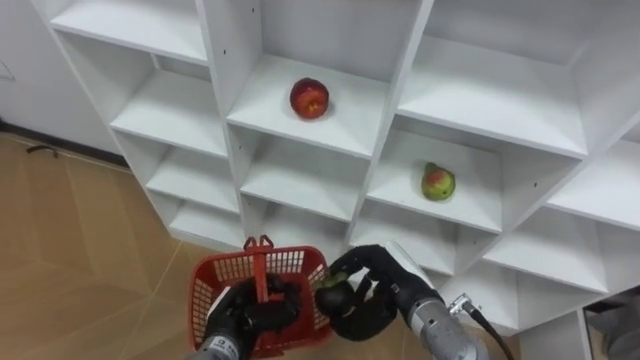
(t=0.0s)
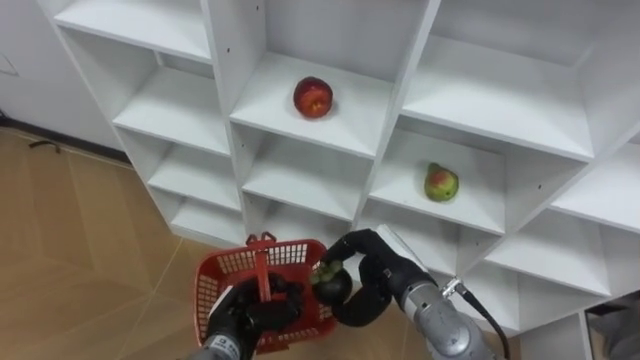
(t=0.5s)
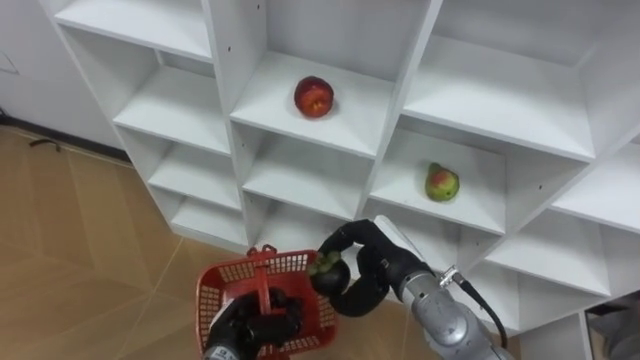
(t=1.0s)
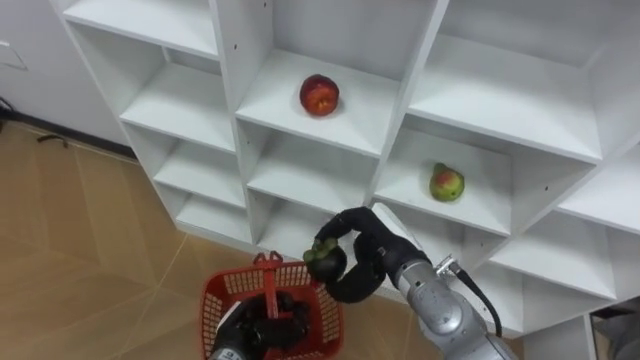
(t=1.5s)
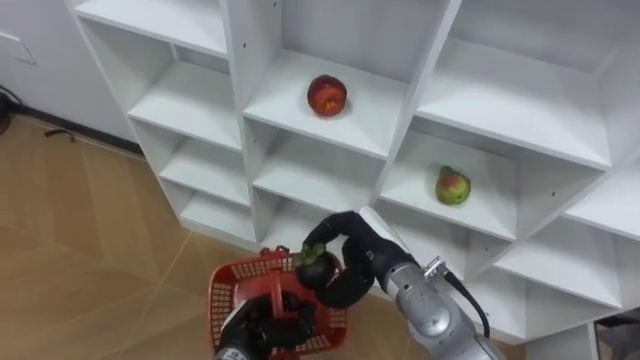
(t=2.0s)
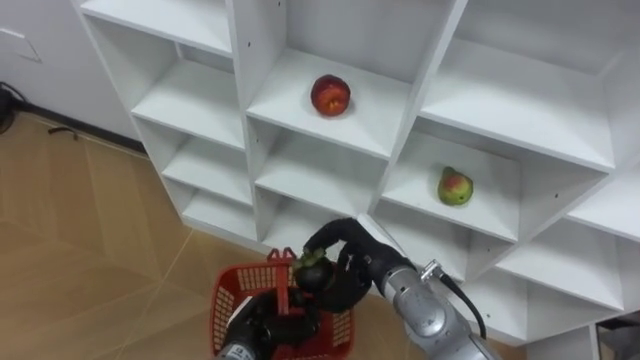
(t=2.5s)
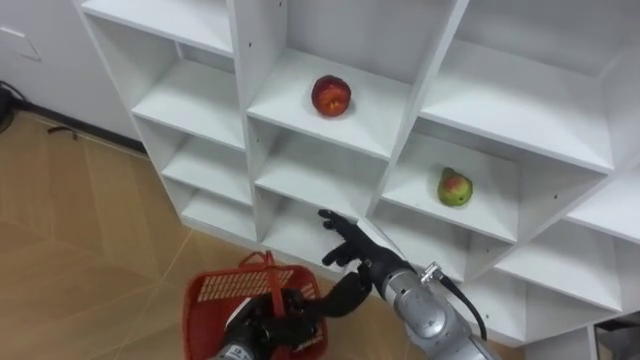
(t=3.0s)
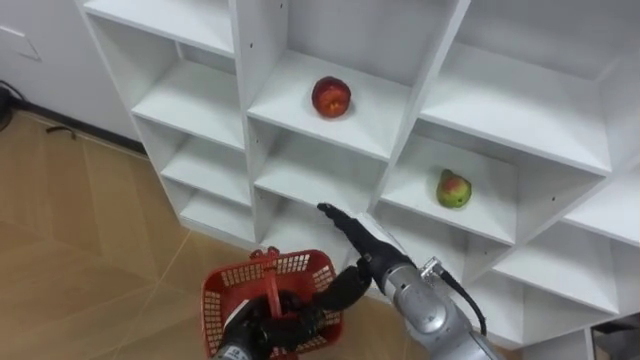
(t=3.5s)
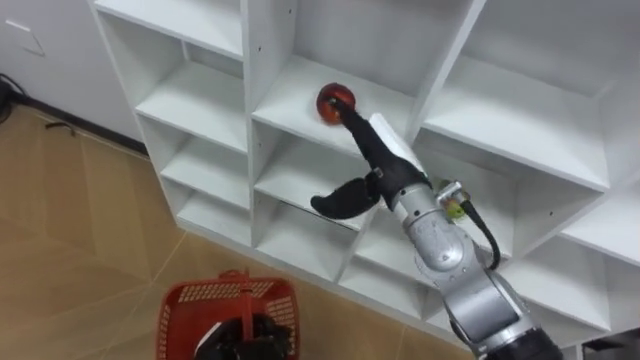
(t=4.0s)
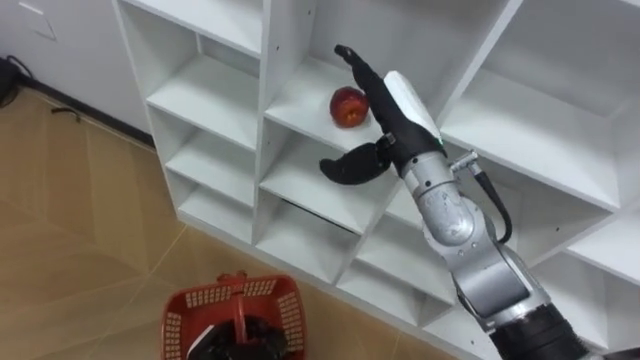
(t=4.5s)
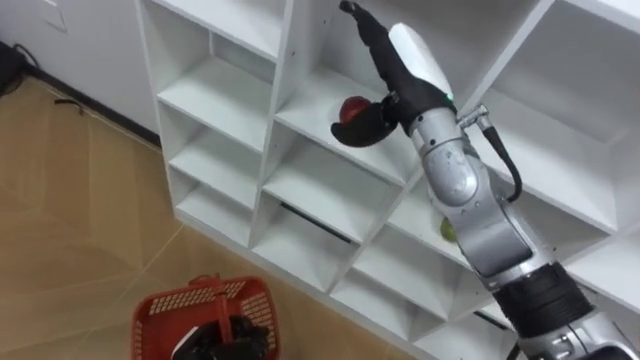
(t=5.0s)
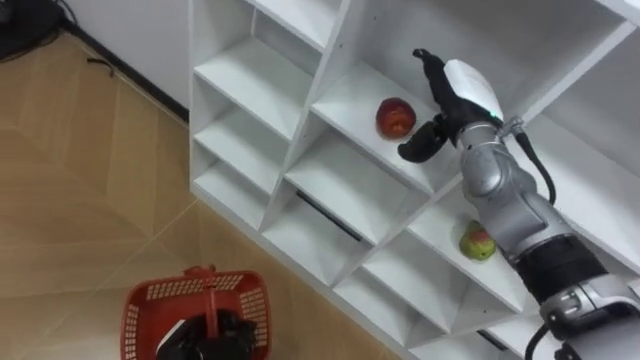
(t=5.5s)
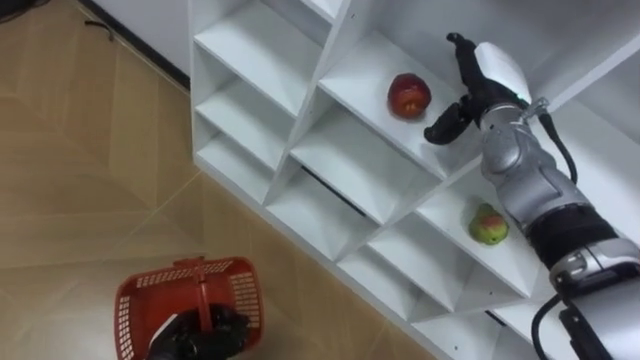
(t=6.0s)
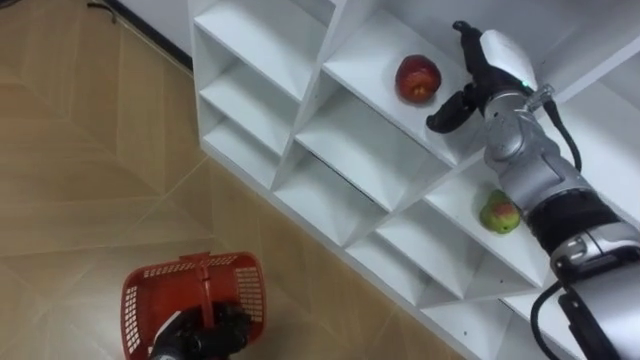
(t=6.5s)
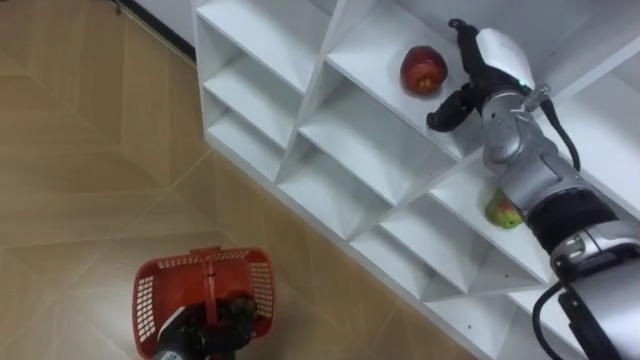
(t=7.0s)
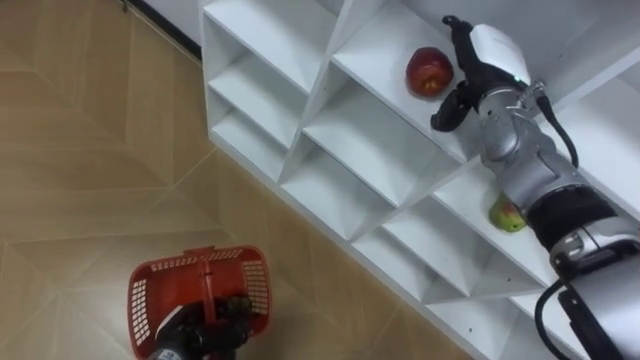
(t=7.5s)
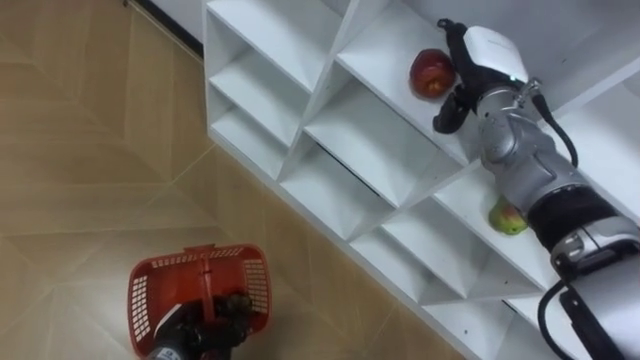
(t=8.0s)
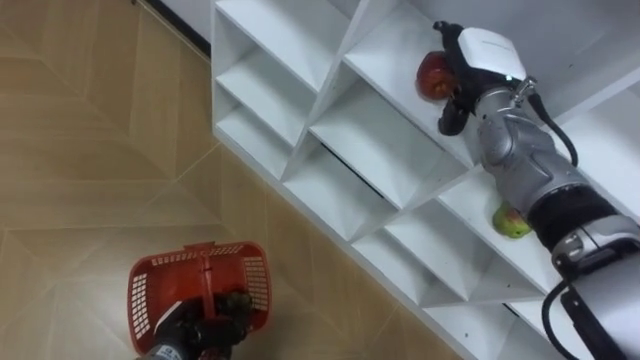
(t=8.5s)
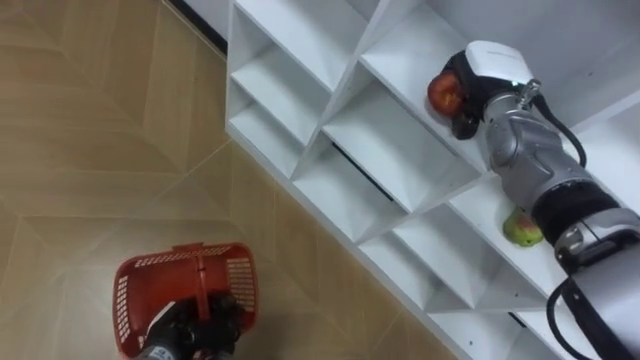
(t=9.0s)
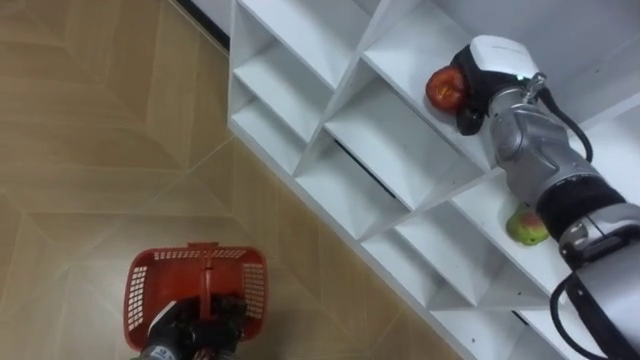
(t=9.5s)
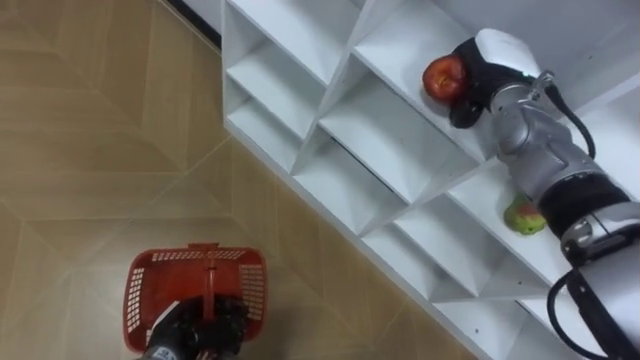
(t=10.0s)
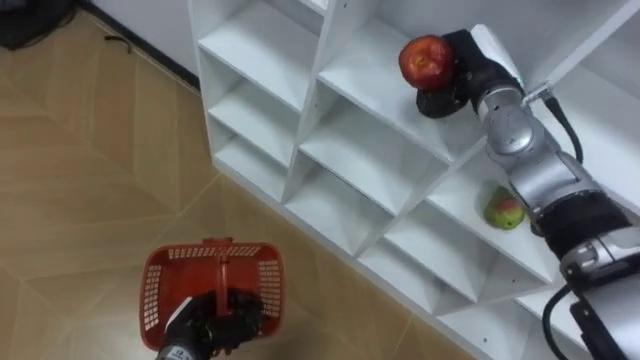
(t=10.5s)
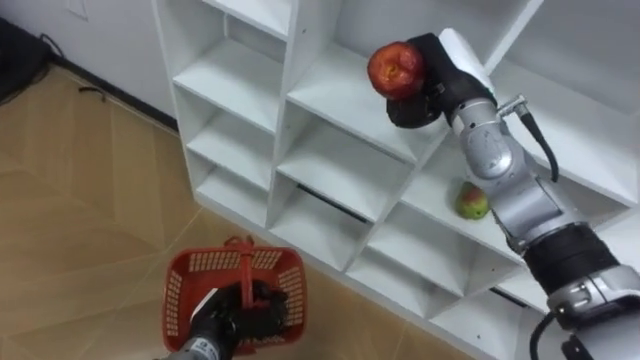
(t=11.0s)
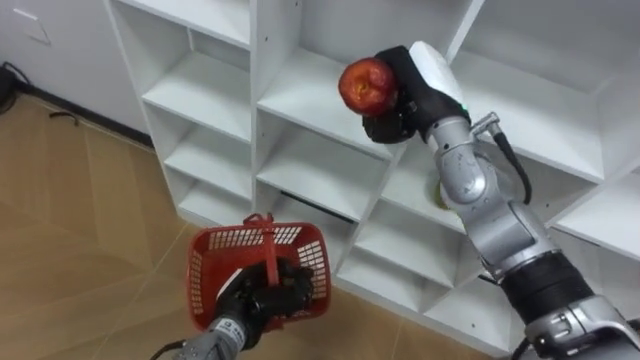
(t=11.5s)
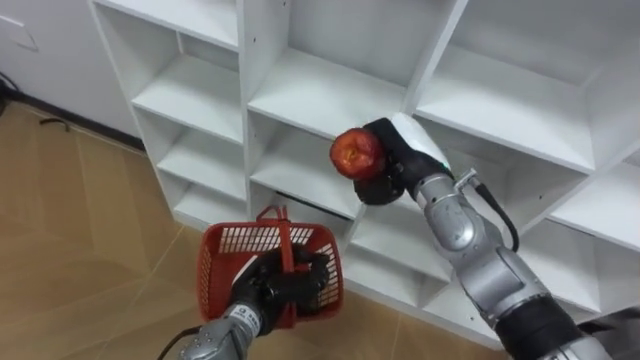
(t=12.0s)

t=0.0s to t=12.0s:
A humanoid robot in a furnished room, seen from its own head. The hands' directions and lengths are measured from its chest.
Task of the whole recording: Hold the basket and collect the fruits from 3 different cells of the closet into it.
t=0.0s to t=2.0s: The right hand shifts by roughly 5 cm.
t=2.0s to t=4.0s: The right hand goes roughly 10 cm upward and forward, and opens.
t=4.0s to t=6.0s: The right hand moves to the right and forward, roughly 15 cm. The left hand shifts roughly 5 cm to the left.
t=8.0s to t=10.0s: The right hand closes up.
t=10.0s to t=12.0s: The left hand is displaced to the right and upward by about 15 cm; the right hand shifts approximately 15 cm to the left, backward and downward.

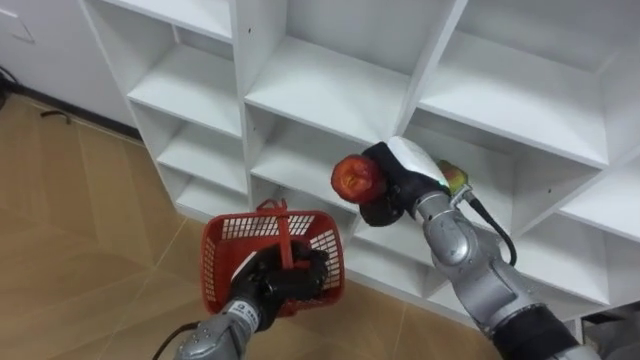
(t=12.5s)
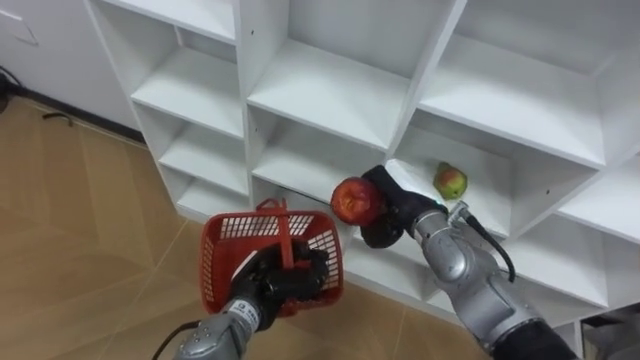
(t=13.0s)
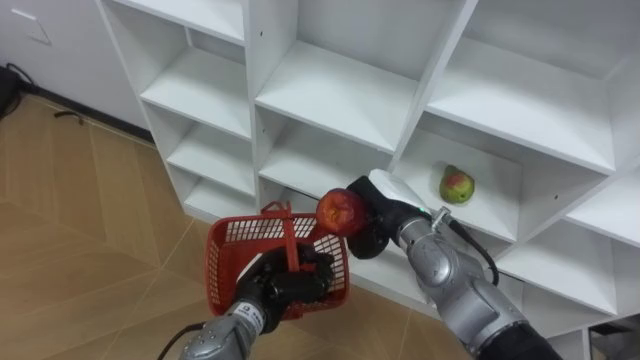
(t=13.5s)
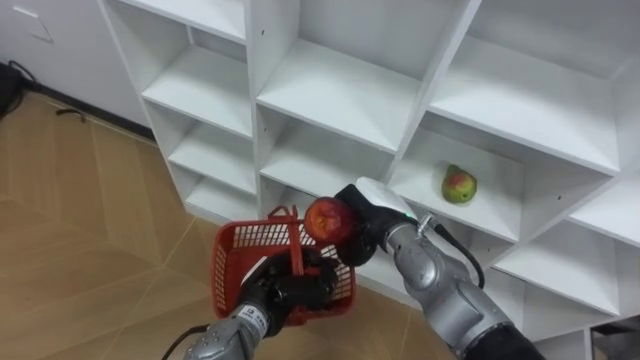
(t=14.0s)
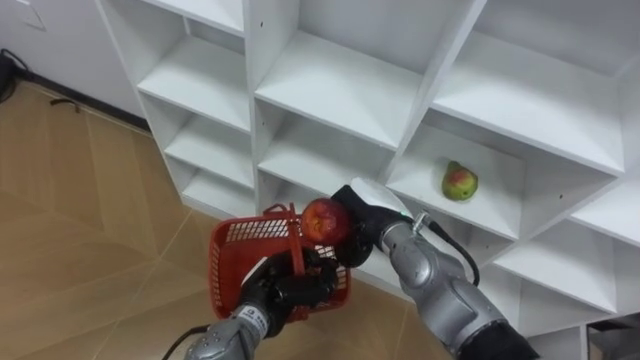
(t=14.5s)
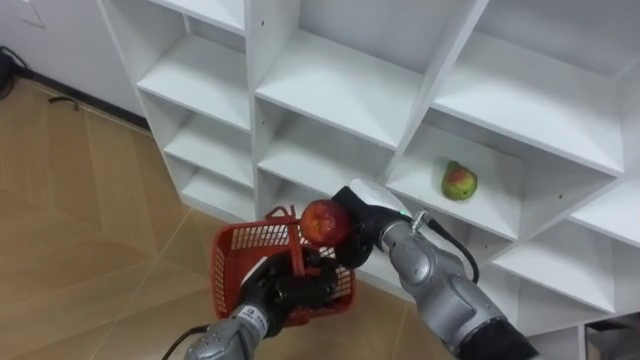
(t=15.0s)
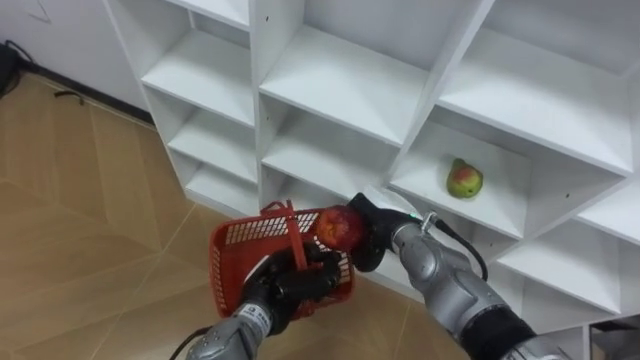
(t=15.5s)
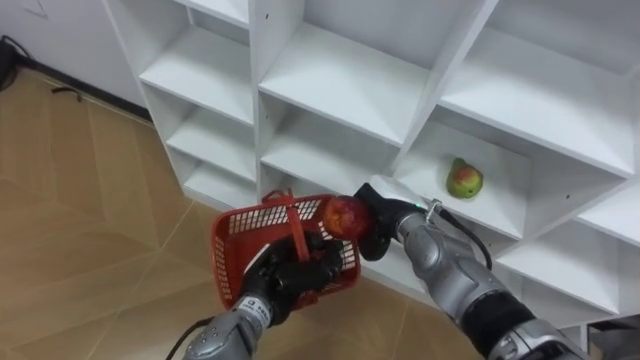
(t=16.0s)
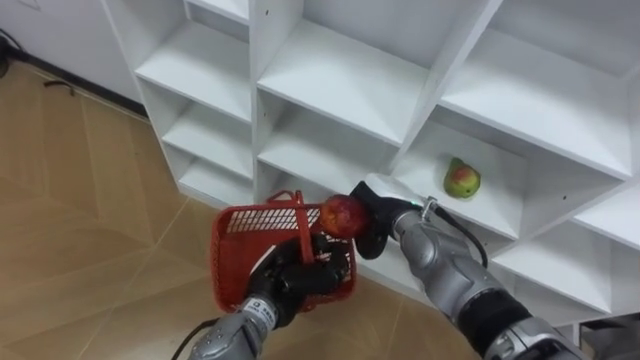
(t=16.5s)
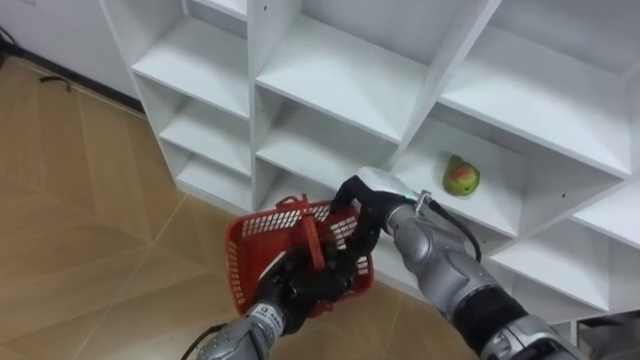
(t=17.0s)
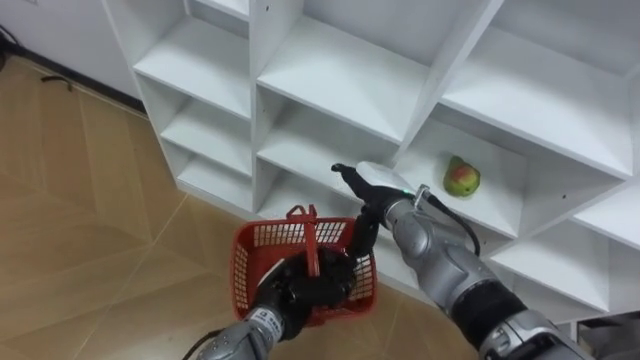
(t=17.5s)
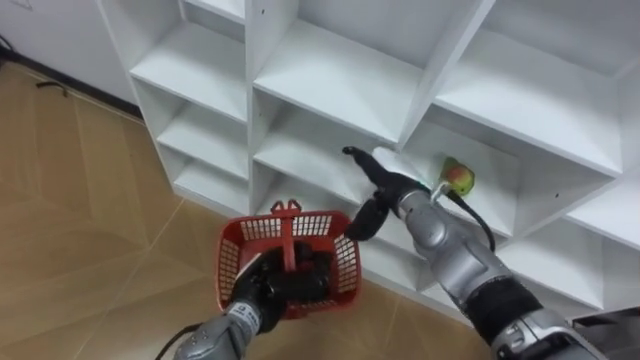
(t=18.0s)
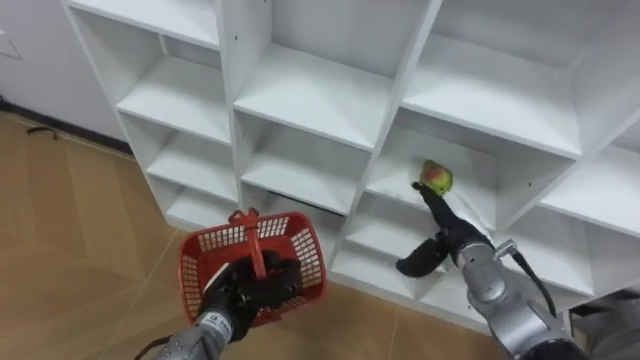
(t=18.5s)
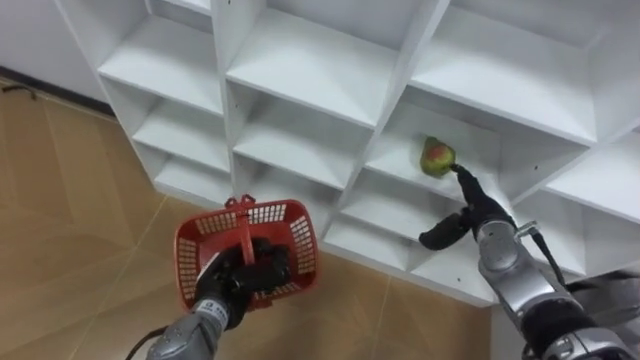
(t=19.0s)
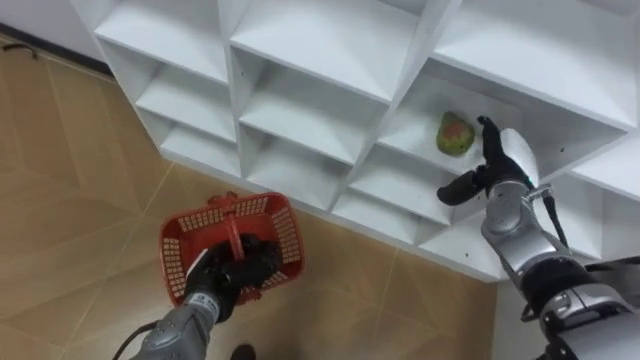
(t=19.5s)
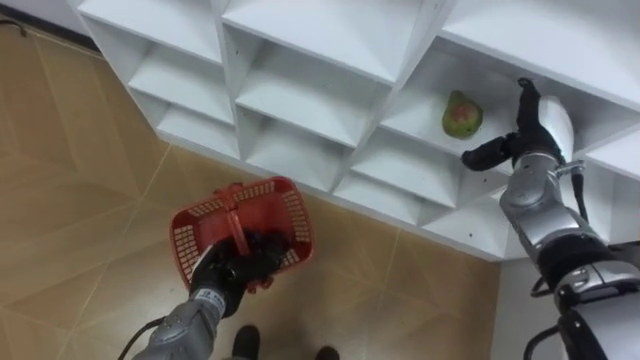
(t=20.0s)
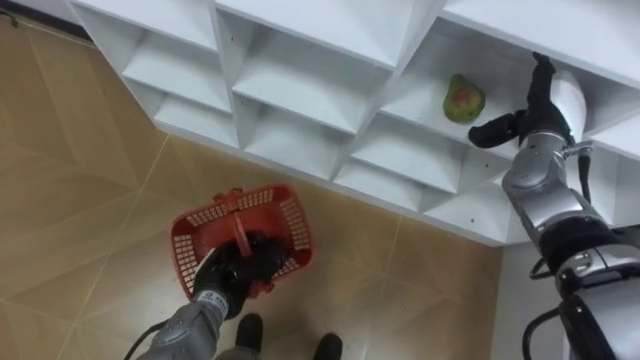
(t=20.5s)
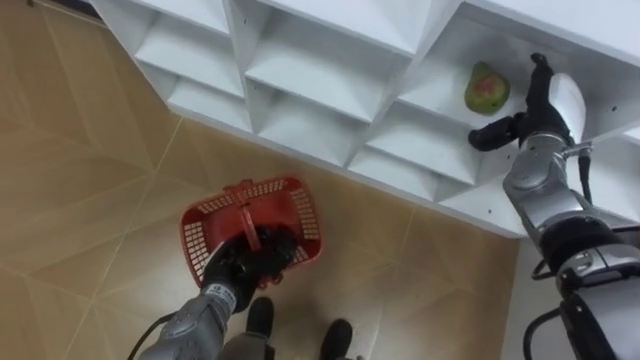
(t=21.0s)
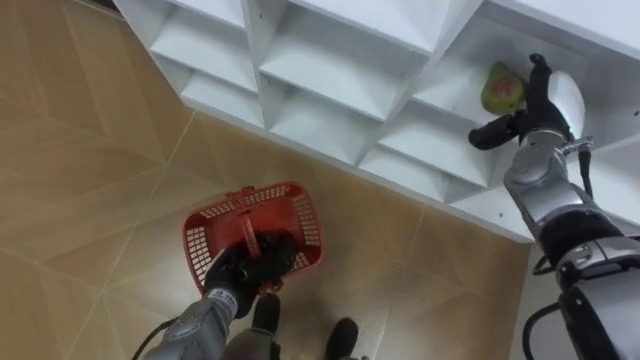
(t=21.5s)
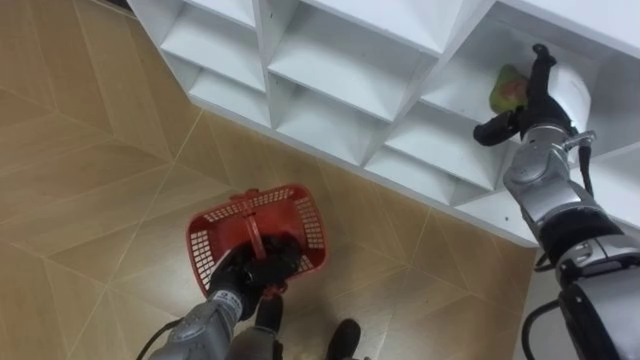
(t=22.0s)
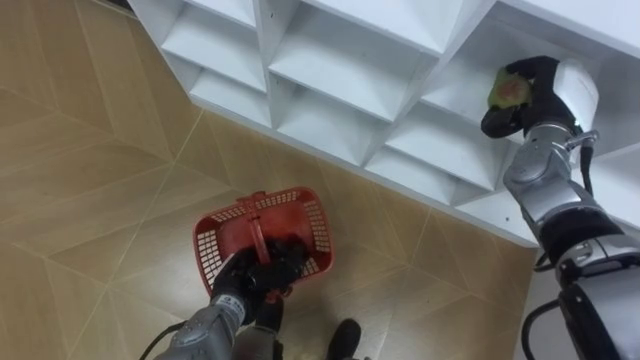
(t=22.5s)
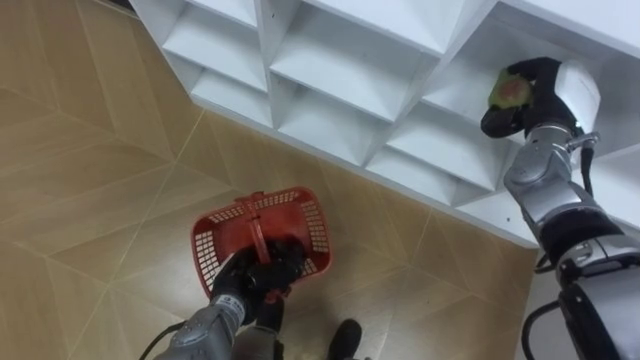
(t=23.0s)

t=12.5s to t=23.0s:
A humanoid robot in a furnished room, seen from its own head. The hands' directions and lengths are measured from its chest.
Task of the whole recording: Hold the basket and collect the fruits from 3 different cells of the closet into it.
t=12.5s to t=14.5s: The right hand ends up about 5 cm from where it was.
t=16.5s to t=19.0s: The left hand moves to the left, roughly 10 cm. Meanwhile the right hand travels to the right by roughly 15 cm, and opens.
t=19.0s to t=21.0s: The right hand heads upward, forward and to the right, covering about 15 cm.
t=21.0s to t=23.0s: The right hand closes its fingers.
